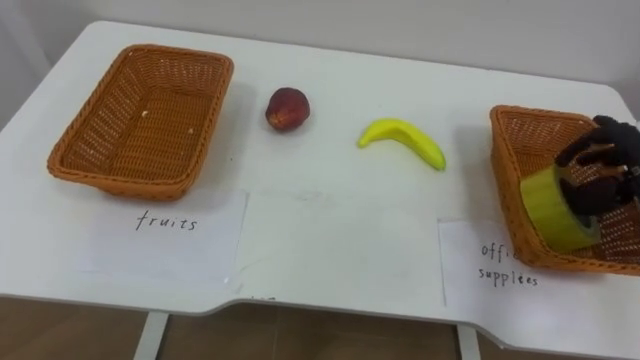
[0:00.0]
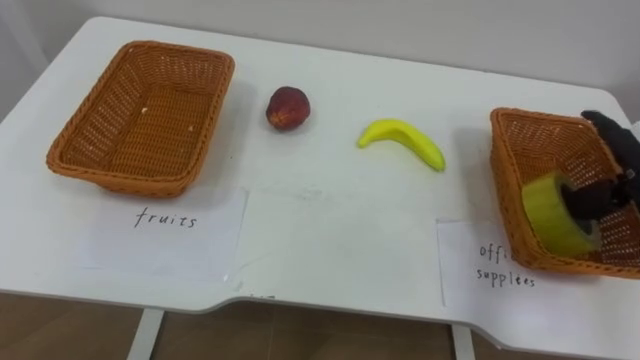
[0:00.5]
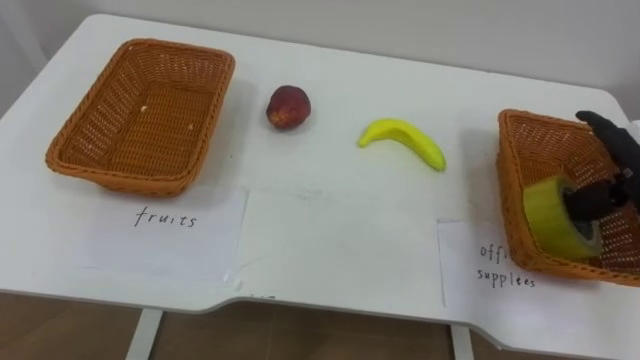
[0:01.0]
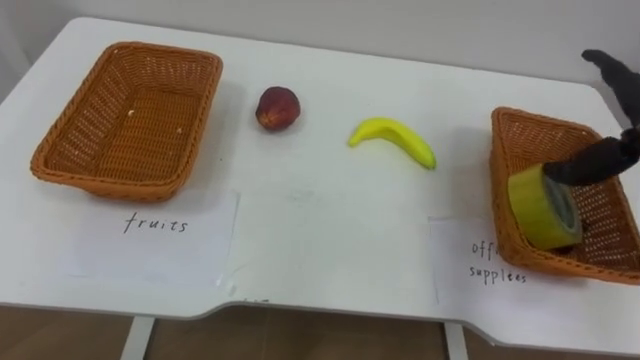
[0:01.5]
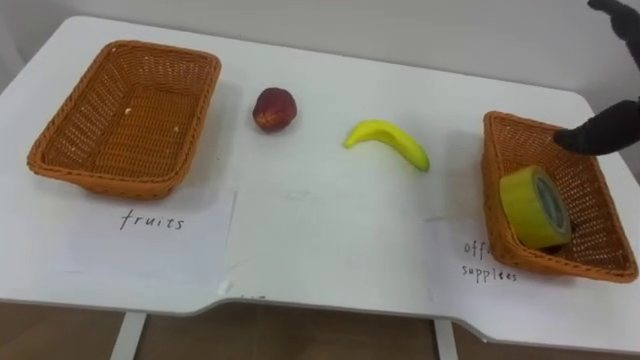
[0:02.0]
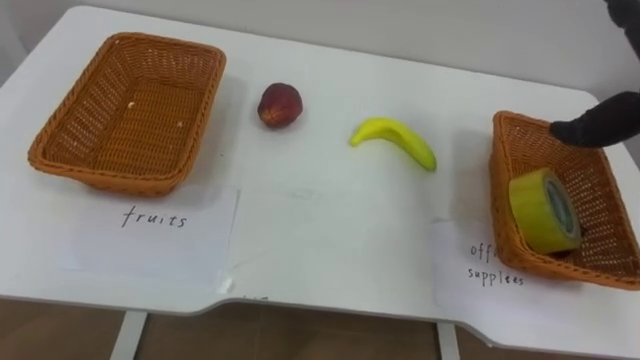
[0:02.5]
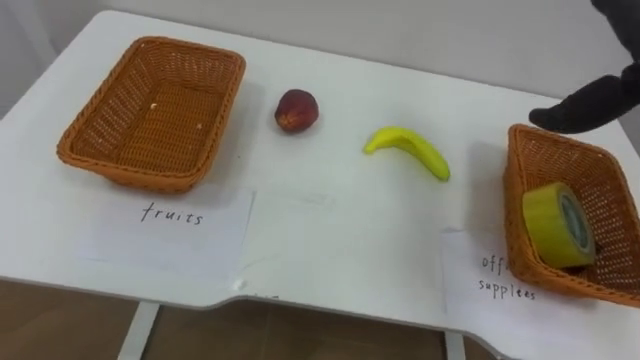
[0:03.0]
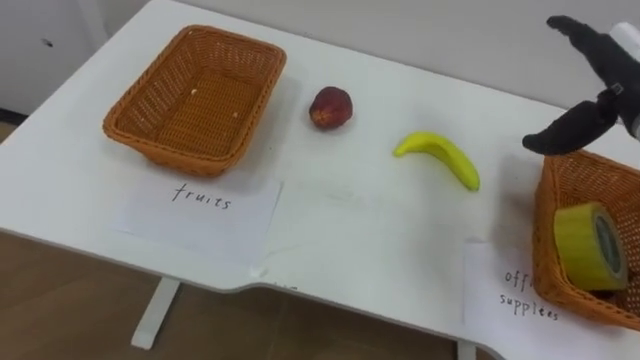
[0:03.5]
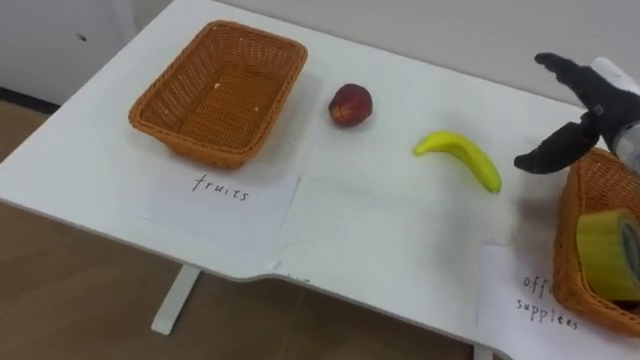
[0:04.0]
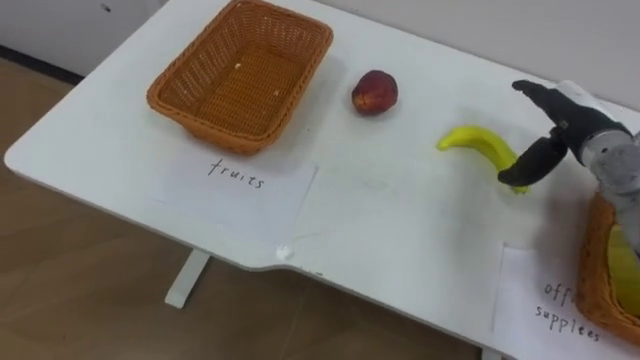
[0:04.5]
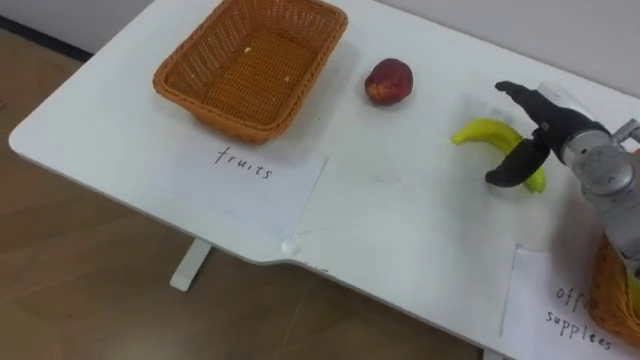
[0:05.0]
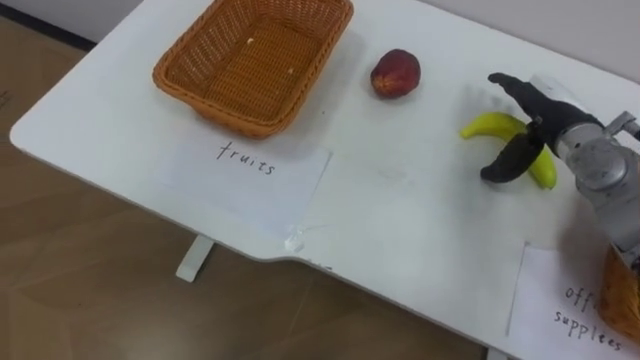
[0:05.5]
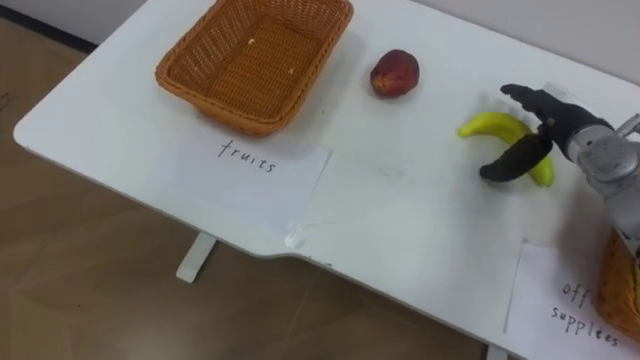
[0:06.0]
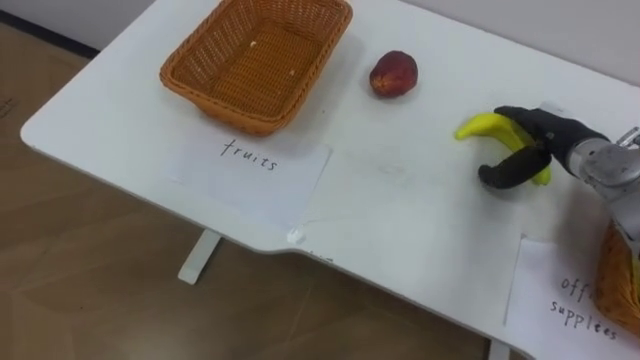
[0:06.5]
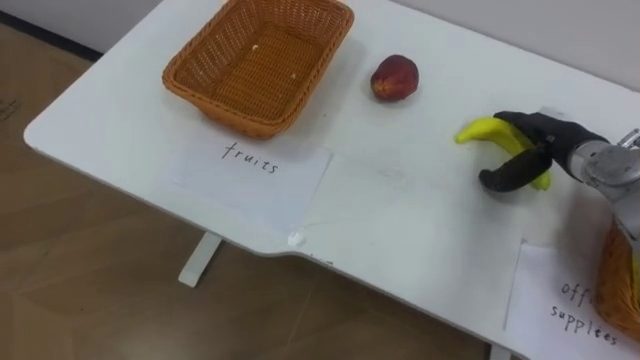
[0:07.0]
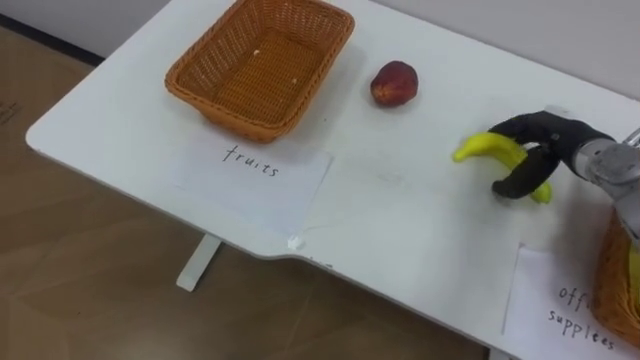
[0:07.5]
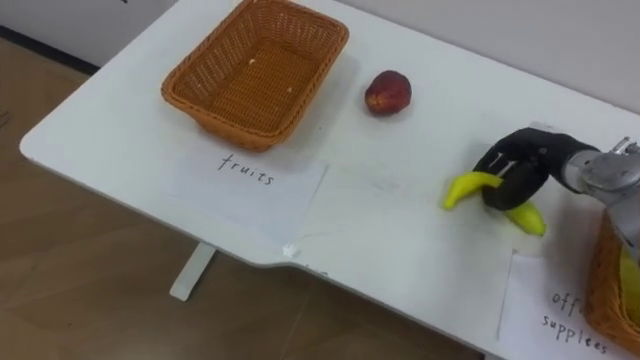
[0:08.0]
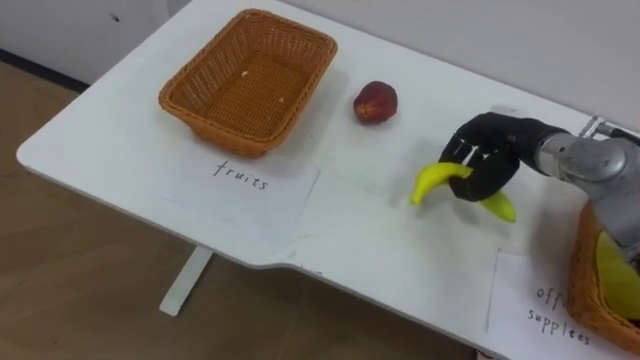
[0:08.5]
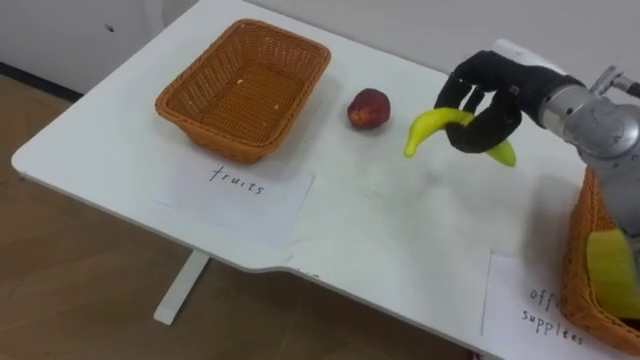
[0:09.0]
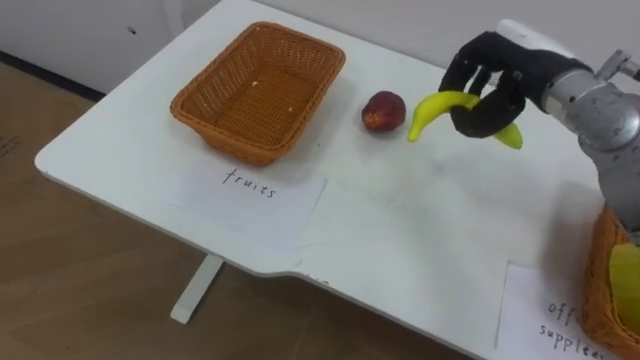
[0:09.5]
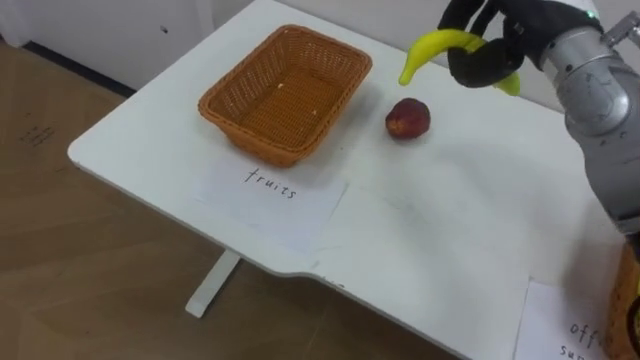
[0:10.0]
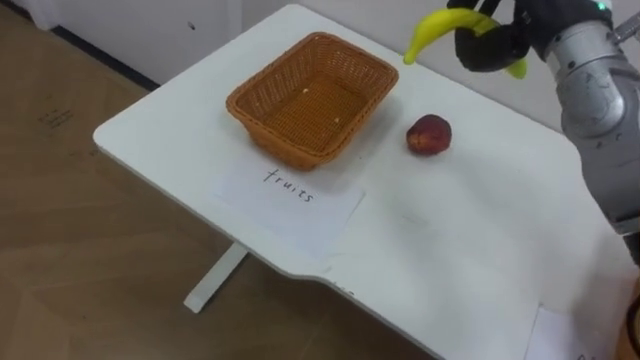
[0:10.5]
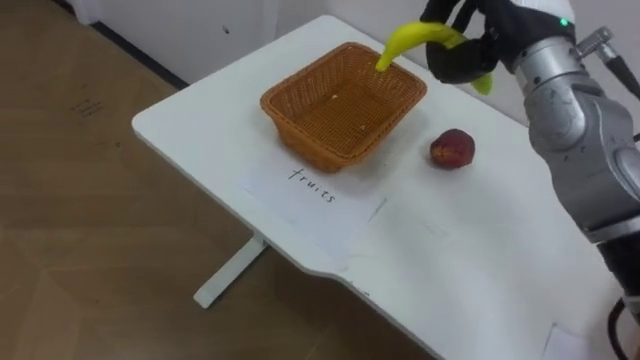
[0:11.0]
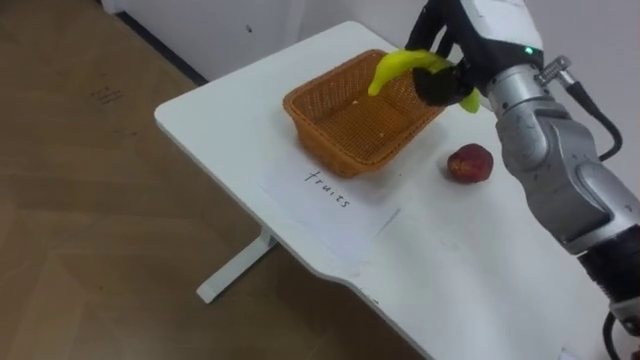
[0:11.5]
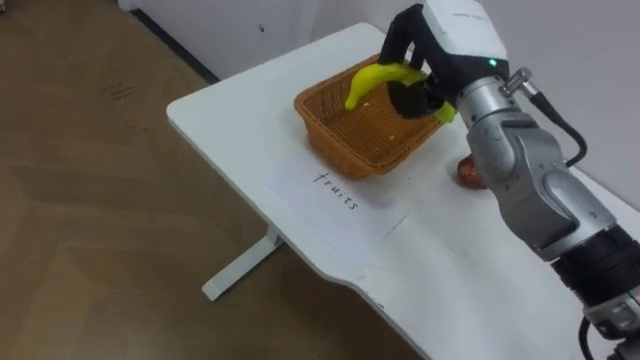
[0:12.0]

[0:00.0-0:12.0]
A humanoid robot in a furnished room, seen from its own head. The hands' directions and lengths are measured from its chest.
Task of the whole recording: Separate the items on the table and place them into the two baskets.
0:04.0 to 0:06.0: The right hand goes some 5 cm downward.
0:06.0 to 0:08.0: The right hand closes.
0:08.0 to 0:10.0: The right hand goes approximately 20 cm upward and to the left.
0:10.0 to 0:12.0: The right hand shifts roughly 5 cm to the left.

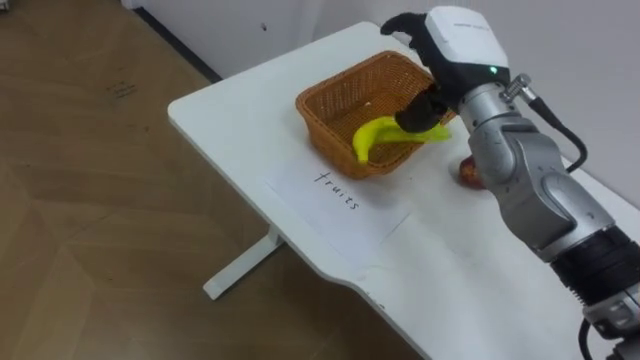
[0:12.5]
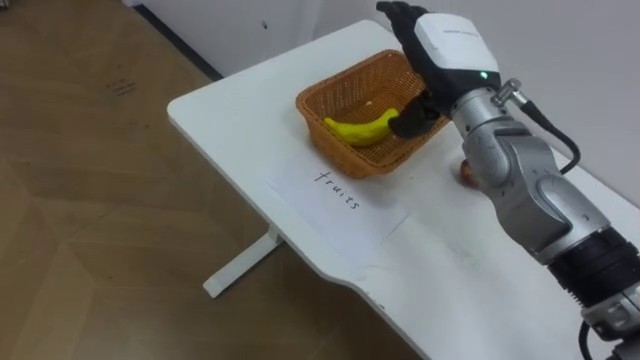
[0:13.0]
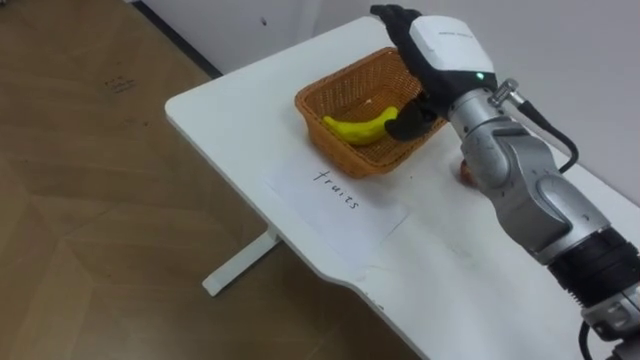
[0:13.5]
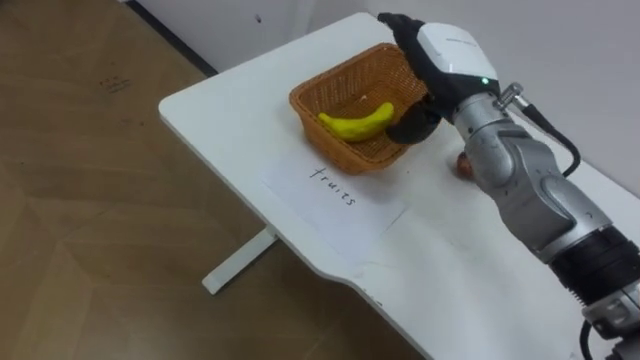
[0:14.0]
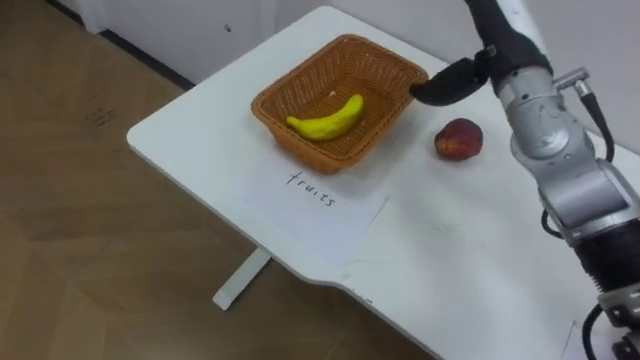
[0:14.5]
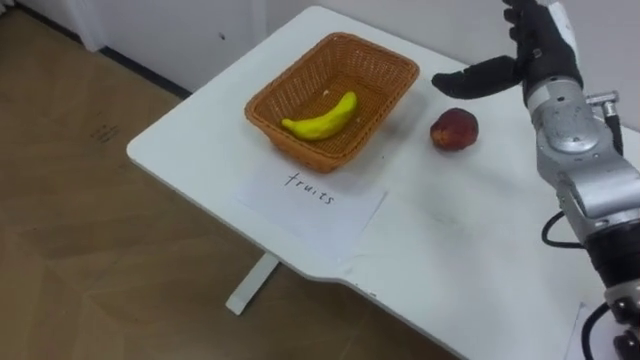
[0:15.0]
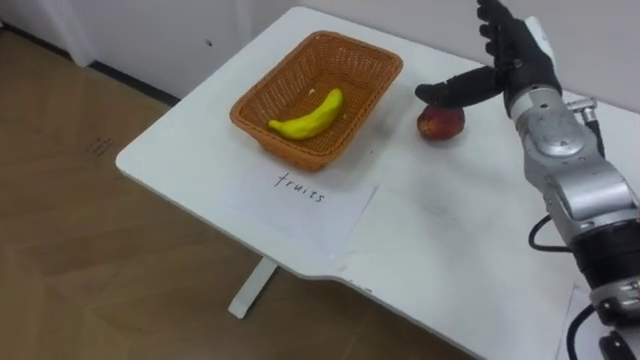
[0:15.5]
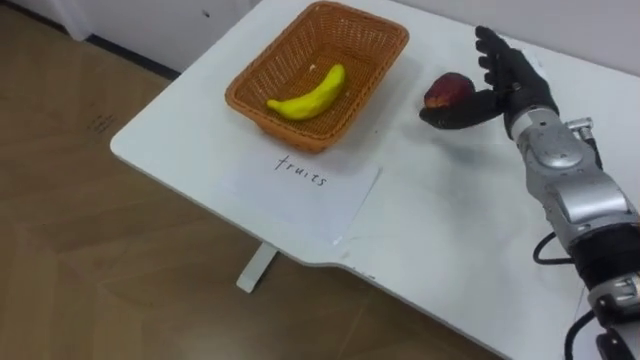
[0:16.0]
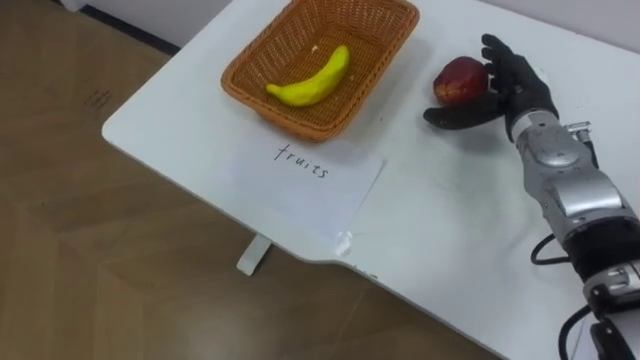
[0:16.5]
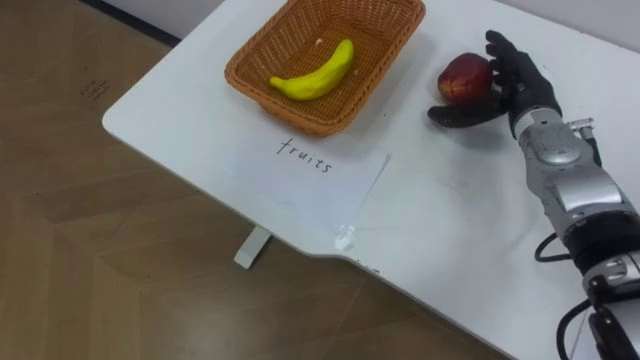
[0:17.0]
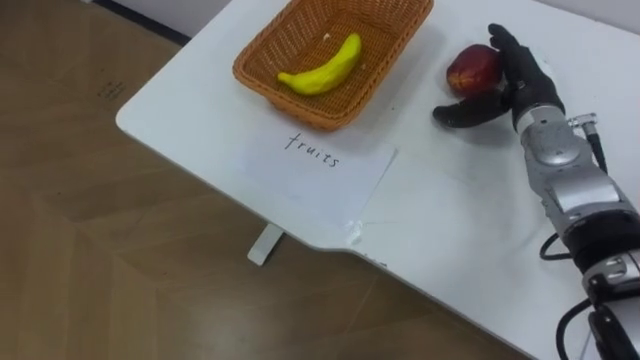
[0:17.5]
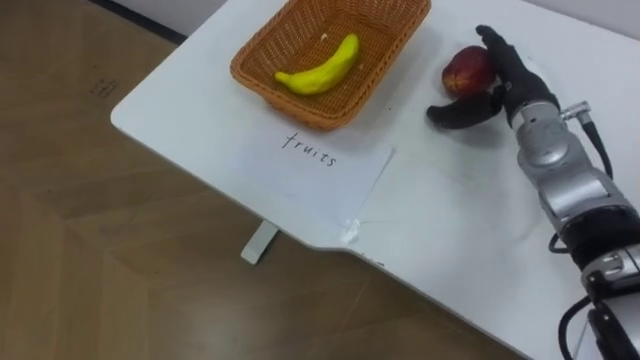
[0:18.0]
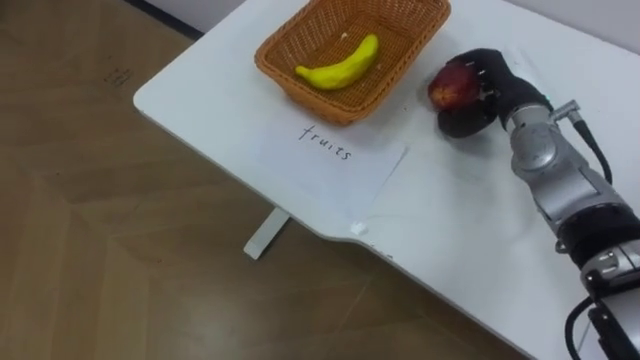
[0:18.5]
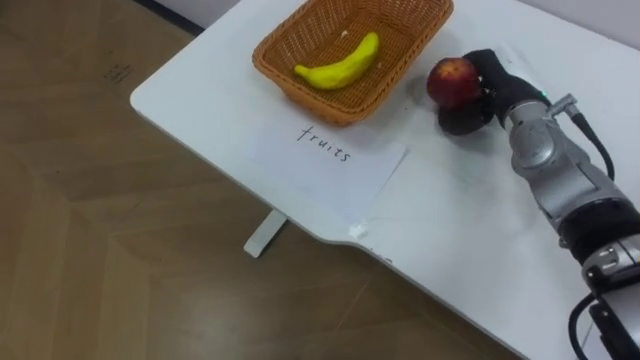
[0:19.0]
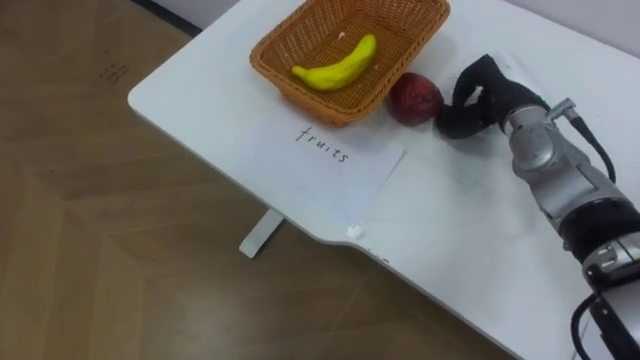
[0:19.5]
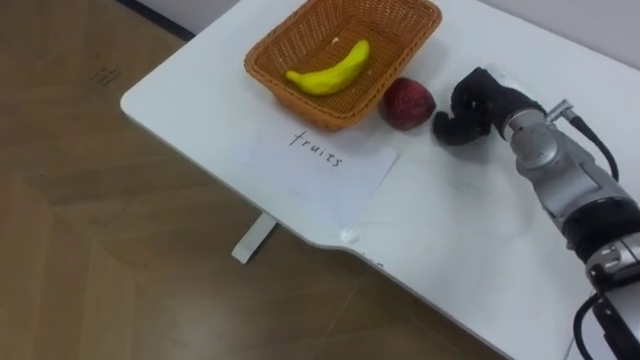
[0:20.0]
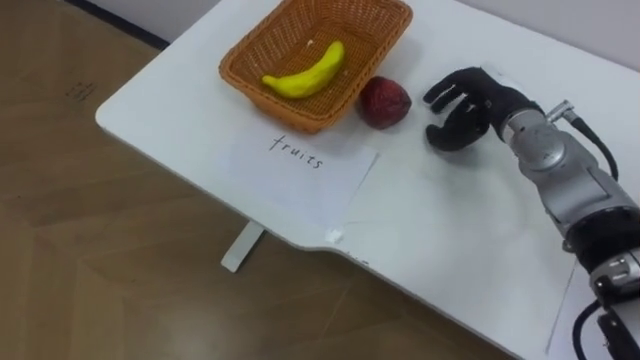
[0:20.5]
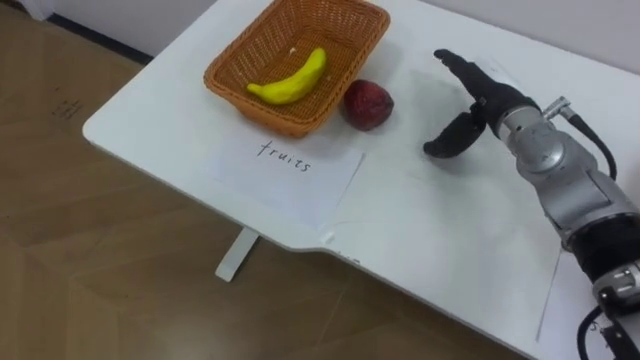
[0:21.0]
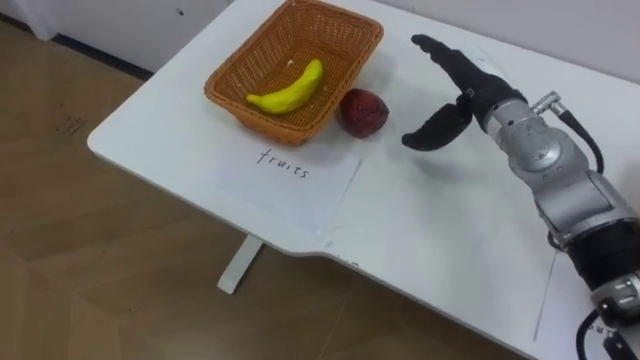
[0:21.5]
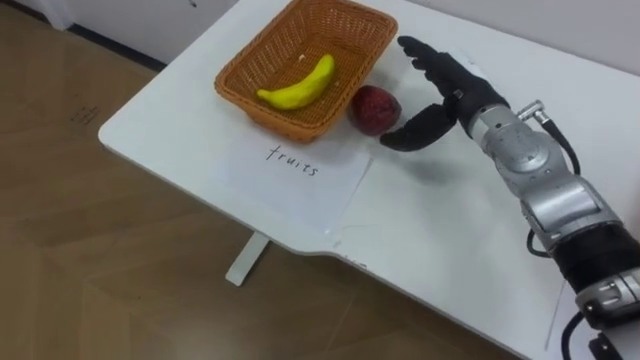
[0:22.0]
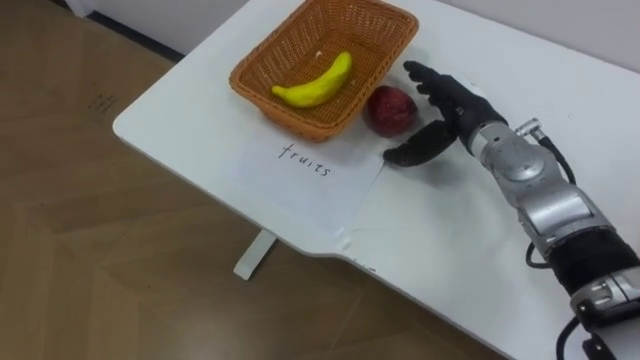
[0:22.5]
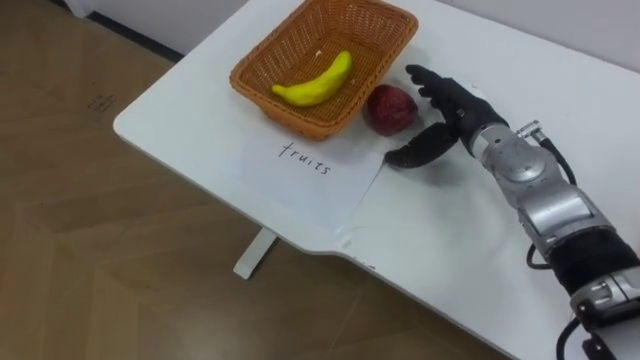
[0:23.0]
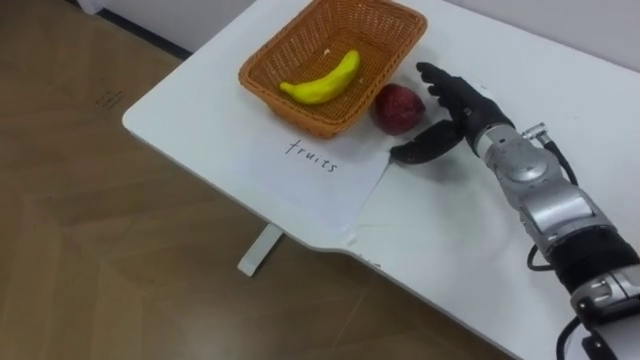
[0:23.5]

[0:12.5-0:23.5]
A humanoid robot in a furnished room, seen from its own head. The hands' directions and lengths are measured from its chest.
Task of the whole recording: Separate the items on the table and place them into the two baskets.
0:14.5 to 0:16.0: The right hand is displaced downward by approximately 5 cm.
0:18.0 to 0:20.0: The right hand closes its fingers.
0:20.0 to 0:21.5: The right hand ends up some 5 cm from where it was, and opens up.
